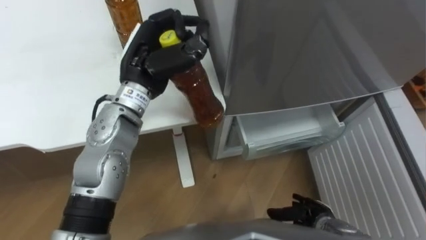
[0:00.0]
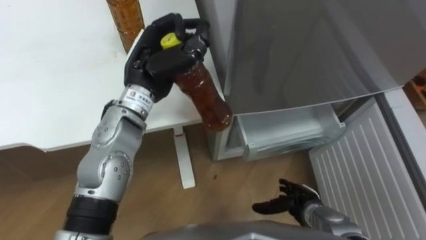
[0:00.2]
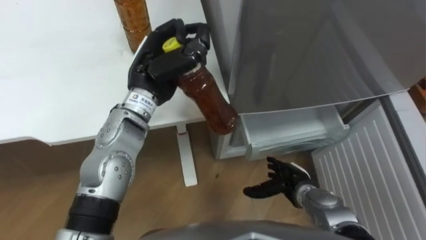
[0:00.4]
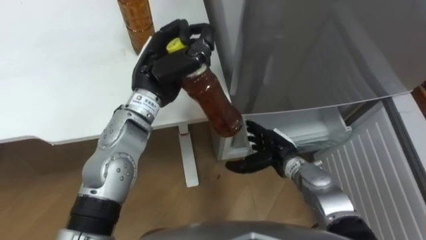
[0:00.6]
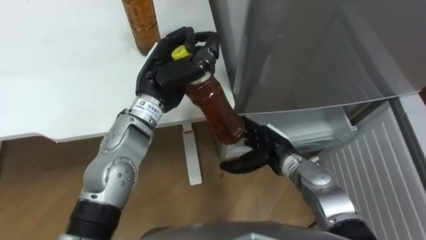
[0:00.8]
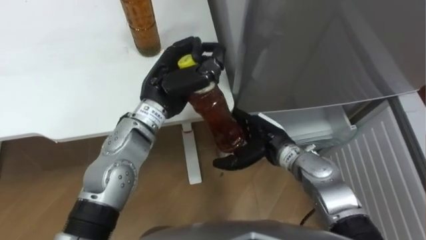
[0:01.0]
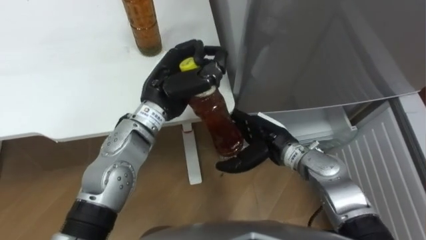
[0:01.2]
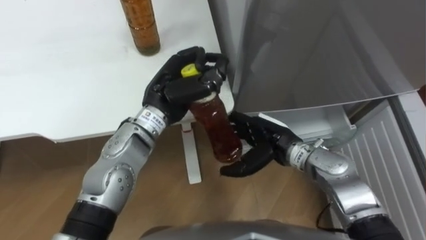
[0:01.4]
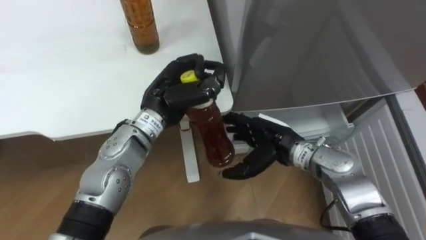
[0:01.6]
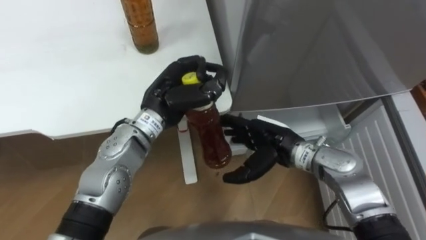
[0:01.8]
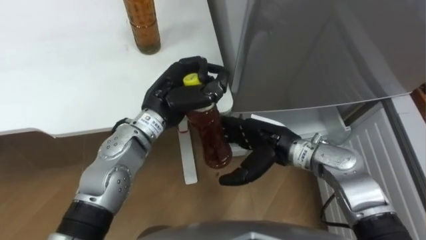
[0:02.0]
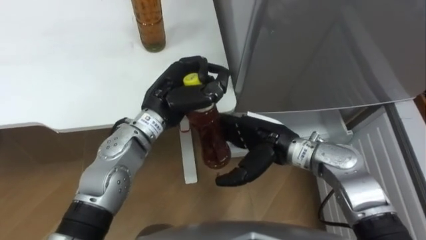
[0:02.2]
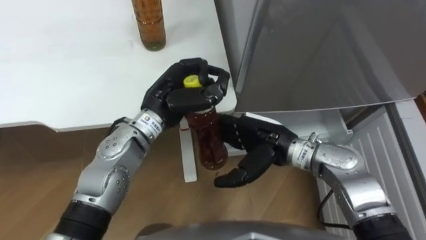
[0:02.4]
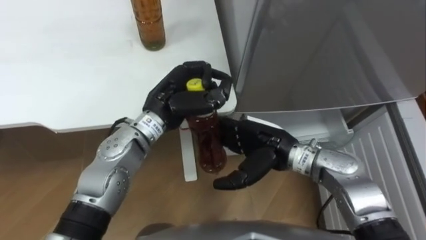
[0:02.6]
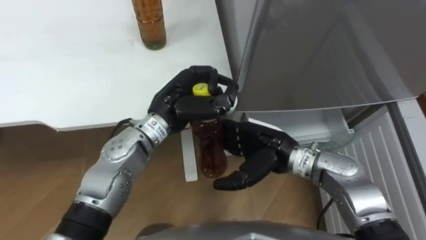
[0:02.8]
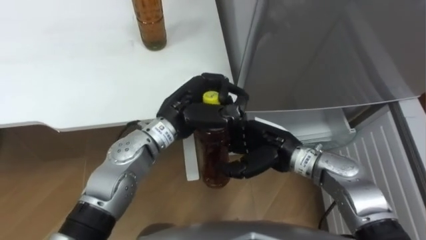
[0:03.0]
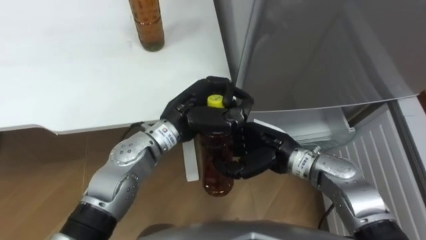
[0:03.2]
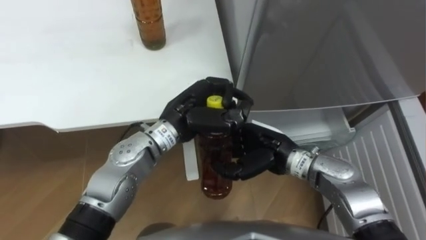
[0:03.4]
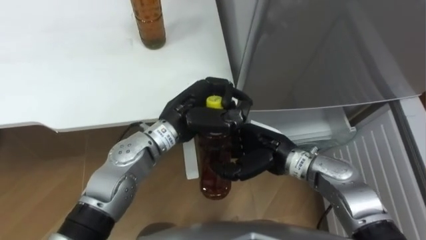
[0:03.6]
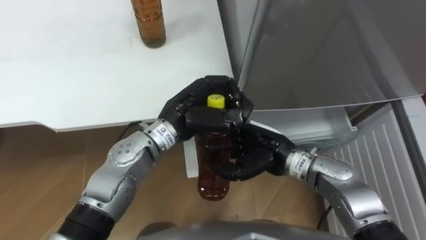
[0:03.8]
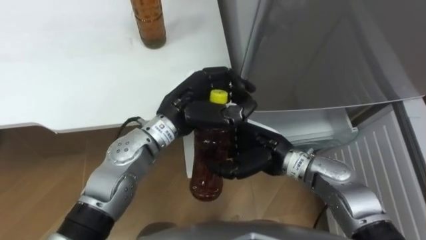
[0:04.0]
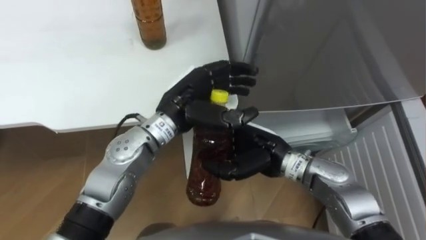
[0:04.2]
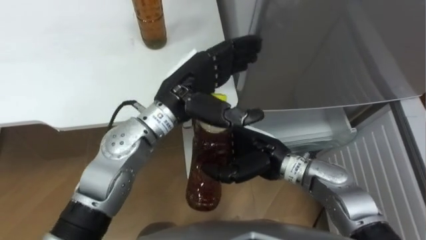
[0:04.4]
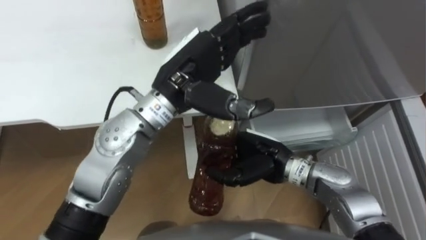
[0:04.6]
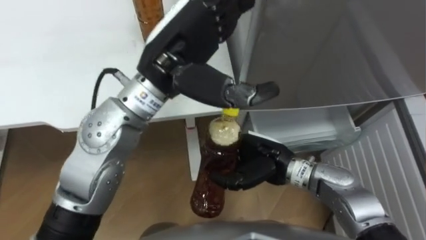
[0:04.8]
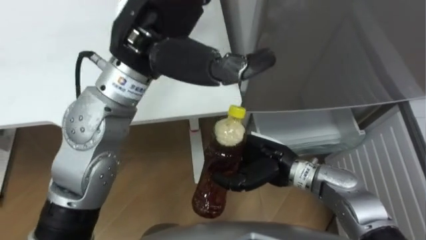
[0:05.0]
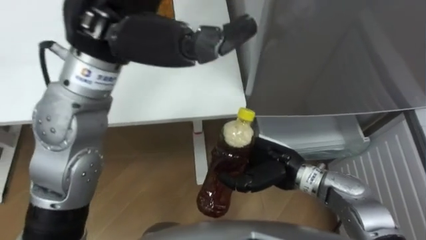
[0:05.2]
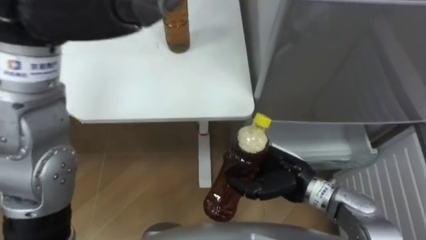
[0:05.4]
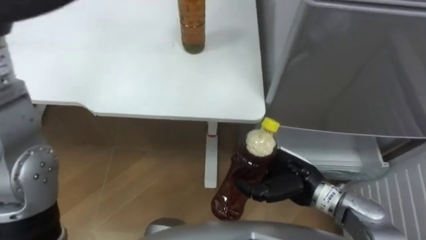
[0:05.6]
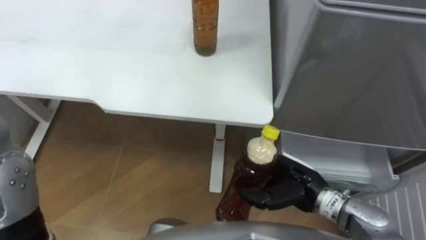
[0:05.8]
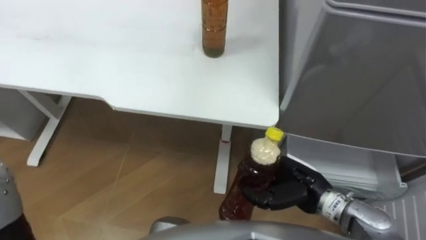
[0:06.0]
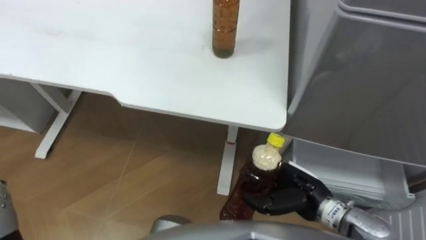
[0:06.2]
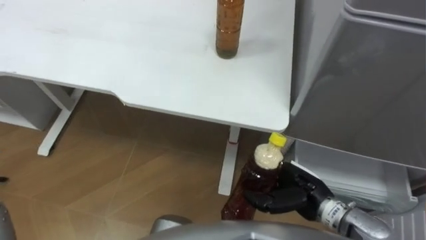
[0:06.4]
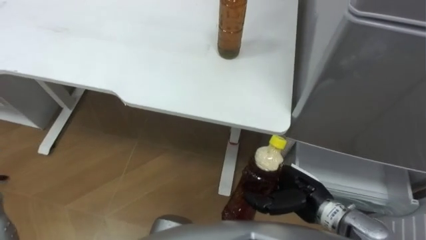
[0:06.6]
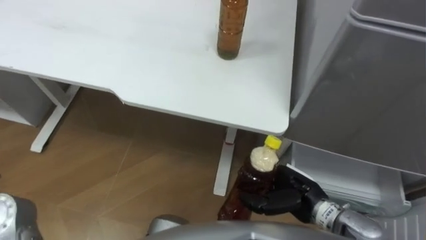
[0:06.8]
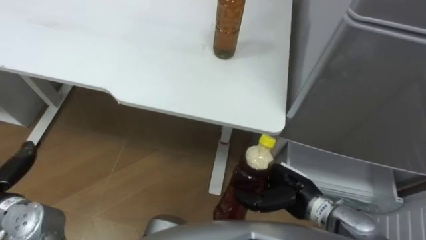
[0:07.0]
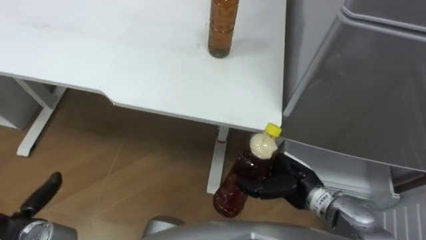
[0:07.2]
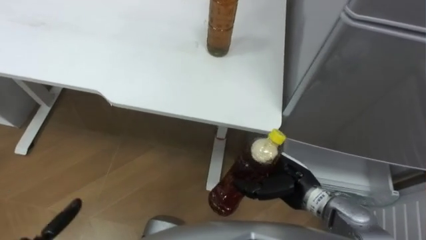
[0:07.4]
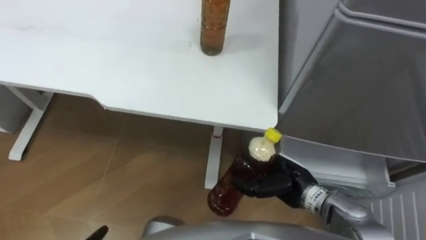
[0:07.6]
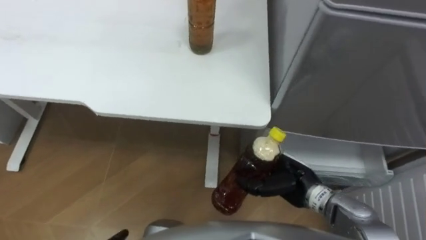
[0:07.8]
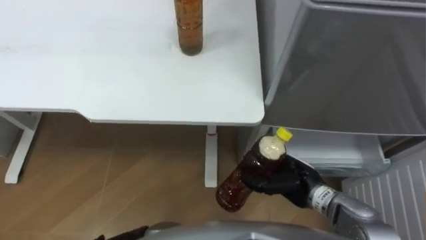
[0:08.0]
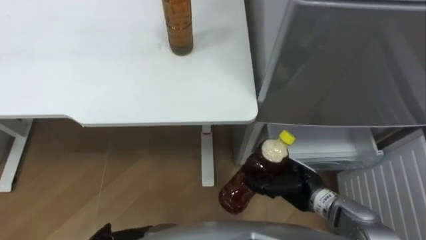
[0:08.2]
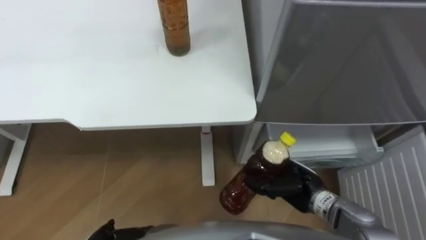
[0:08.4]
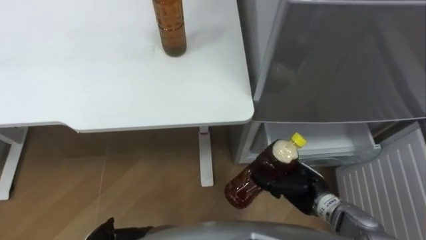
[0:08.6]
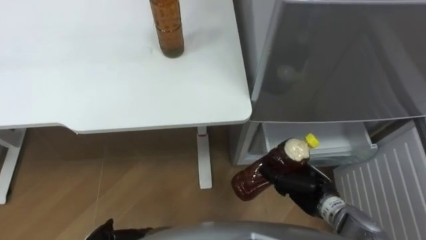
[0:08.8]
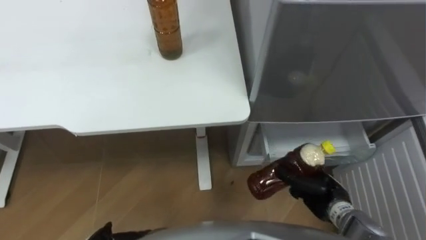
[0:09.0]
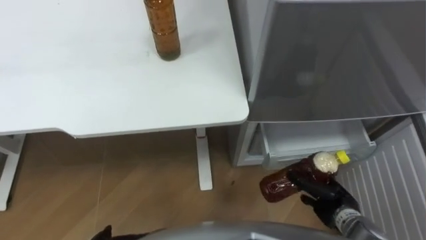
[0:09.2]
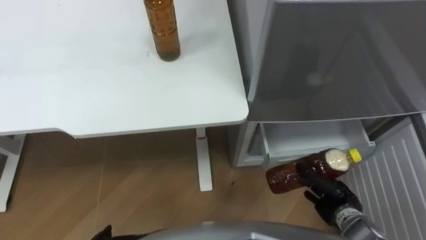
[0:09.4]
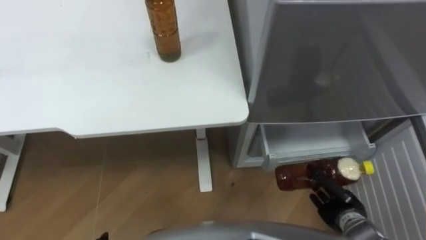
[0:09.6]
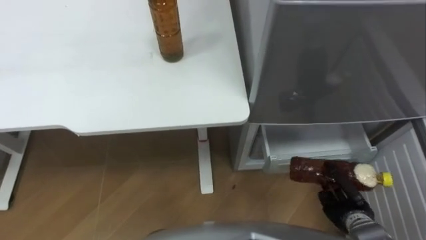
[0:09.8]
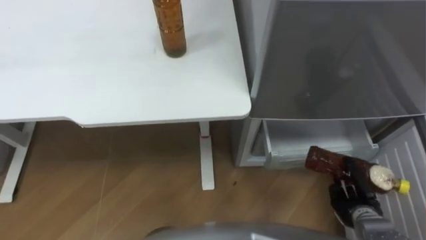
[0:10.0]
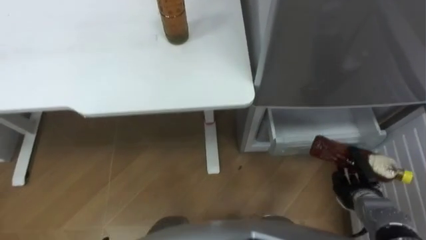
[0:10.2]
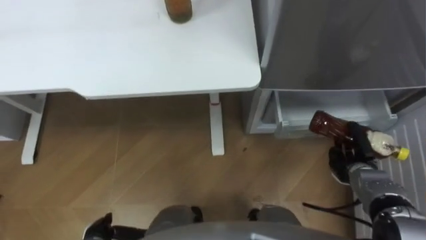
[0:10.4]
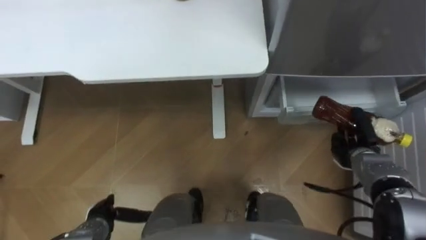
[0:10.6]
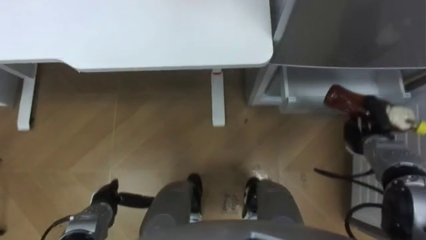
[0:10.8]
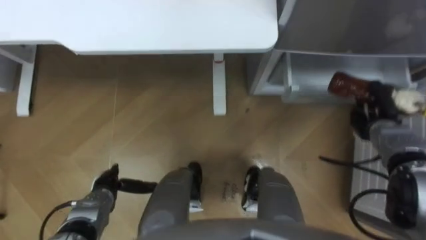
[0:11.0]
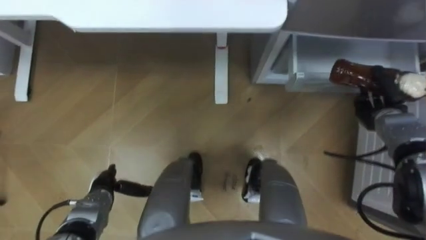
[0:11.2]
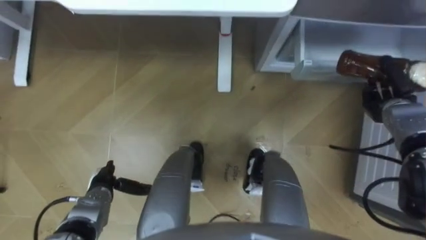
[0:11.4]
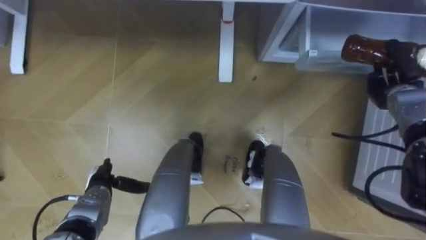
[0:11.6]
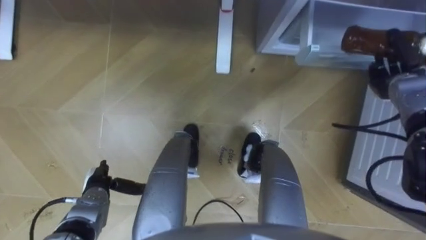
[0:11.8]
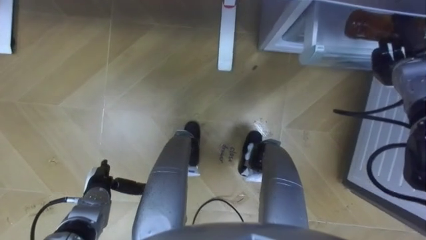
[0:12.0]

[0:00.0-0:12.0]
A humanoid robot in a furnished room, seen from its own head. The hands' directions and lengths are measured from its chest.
Task of the whole recording: Place the drink on the table on the bottom shelf of the refrigerator, then close the drawer and the refrigerator door.
0:00.0 to 0:01.6: The right hand goes about 25 cm upward, forward and to the left. The left hand travels downward by approximately 5 cm.
0:03.0 to 0:04.4: The left hand moves upward, about 5 cm, and opens.
0:04.4 to 0:06.0: The right hand shifts about 10 cm to the right and backward.
0:07.6 to 0:09.0: The right hand moves to the right, roughly 10 cm.
0:09.0 to 0:10.4: The right hand is displaced to the right by approximately 10 cm.
0:10.4 to 0:12.0: The right hand heads forward and upward, covering roughly 25 cm.

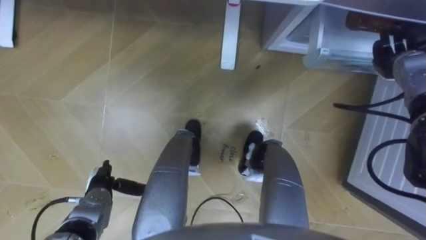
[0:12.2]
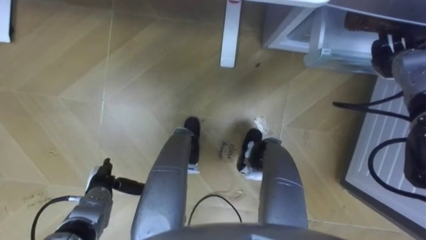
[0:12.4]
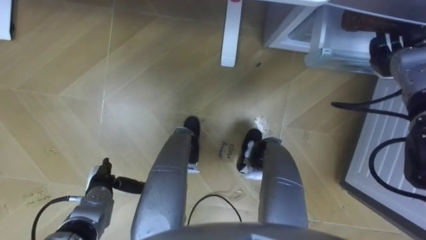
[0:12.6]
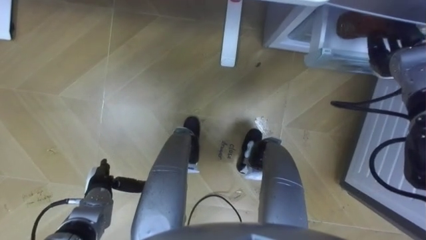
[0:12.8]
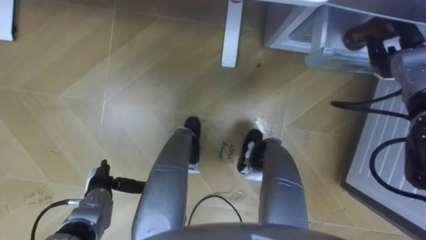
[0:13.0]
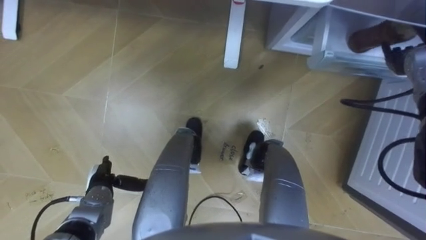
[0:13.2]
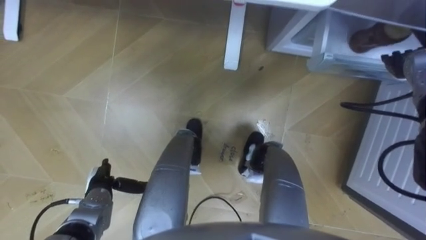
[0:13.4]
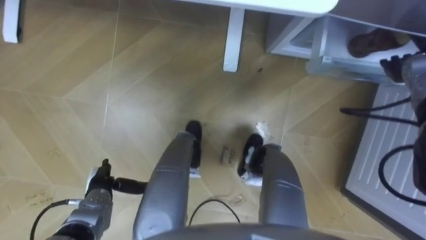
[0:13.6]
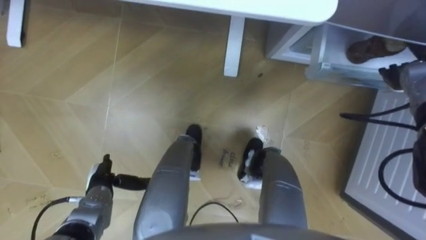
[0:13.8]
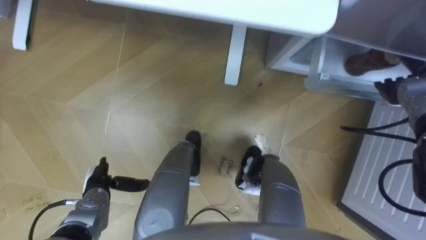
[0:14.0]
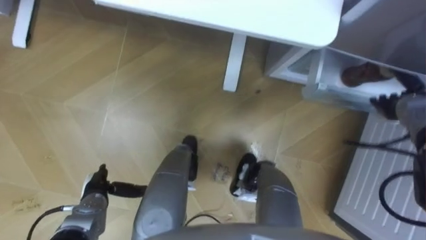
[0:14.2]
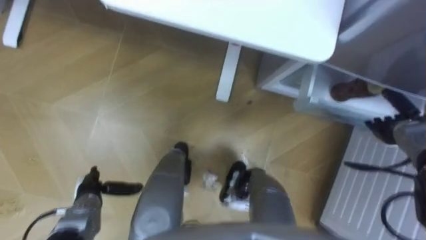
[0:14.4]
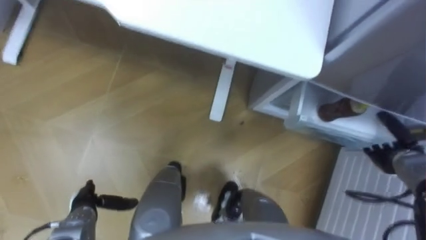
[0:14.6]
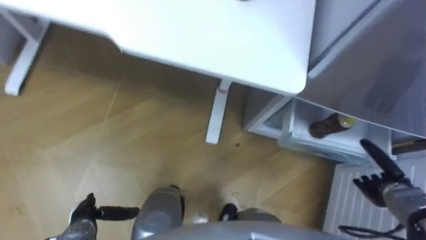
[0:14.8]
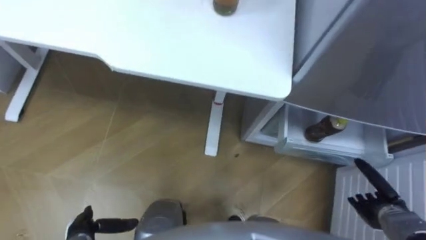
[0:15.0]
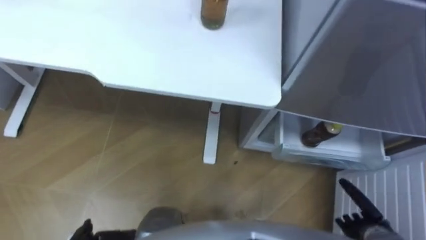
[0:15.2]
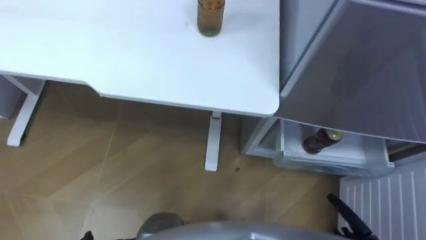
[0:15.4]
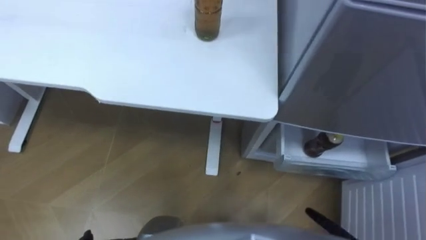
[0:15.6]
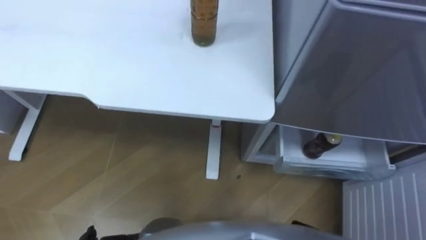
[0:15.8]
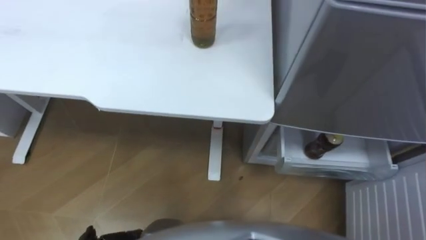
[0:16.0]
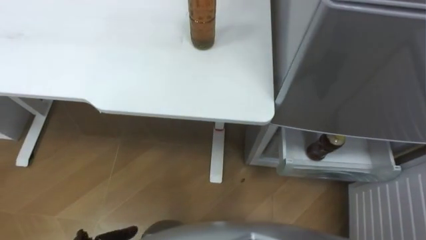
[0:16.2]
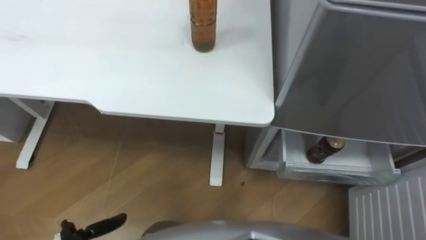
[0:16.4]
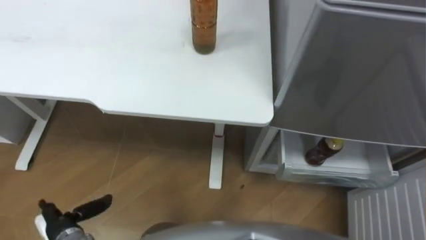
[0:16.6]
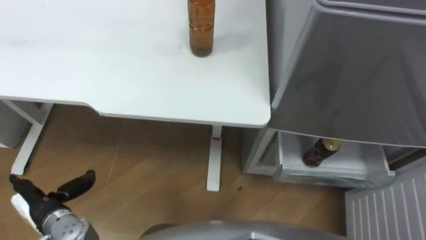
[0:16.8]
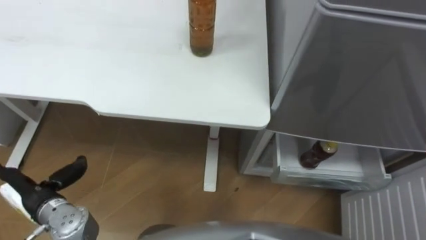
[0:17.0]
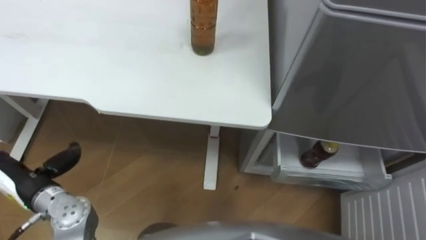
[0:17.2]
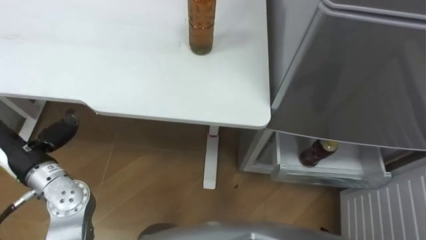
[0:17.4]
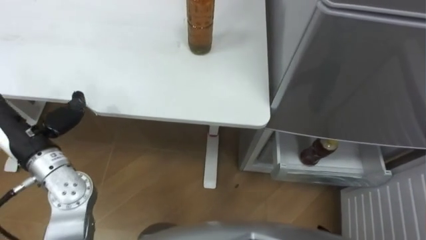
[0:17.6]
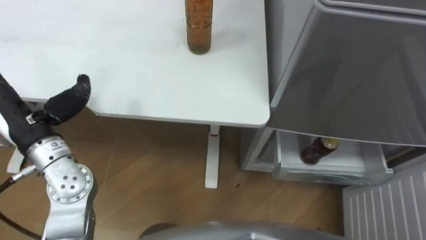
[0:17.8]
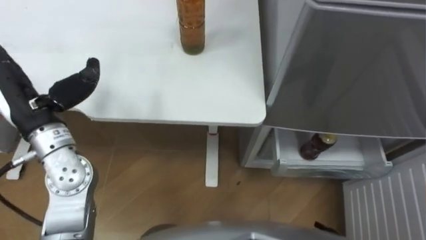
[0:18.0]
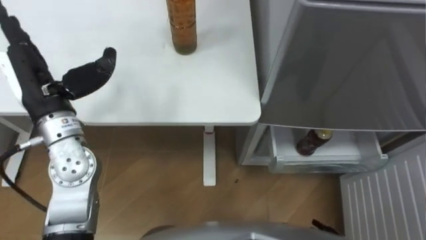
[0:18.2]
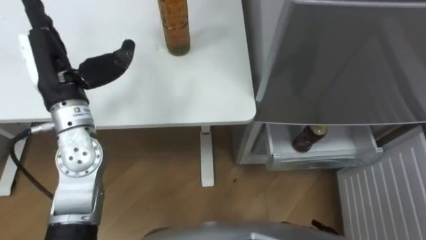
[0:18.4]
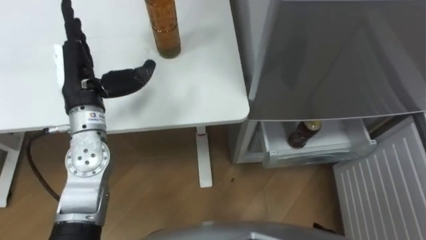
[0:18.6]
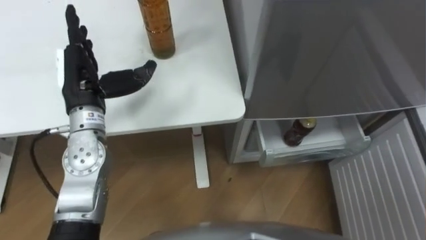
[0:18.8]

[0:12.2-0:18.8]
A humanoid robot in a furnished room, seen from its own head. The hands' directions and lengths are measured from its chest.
Task of the whole recording: Place the drink on the table on the bottom shelf of the refrigerator, then close the drawer and the refrigerator door.
0:12.2 to 0:13.8: The right hand opens its fingers.
0:17.2 to 0:18.8: The left hand shifts some 20 cm forward, upward and to the right.
